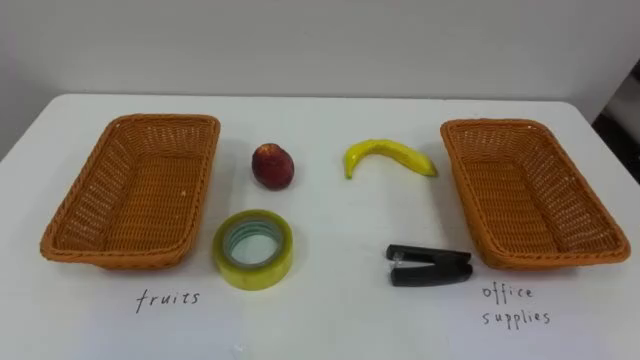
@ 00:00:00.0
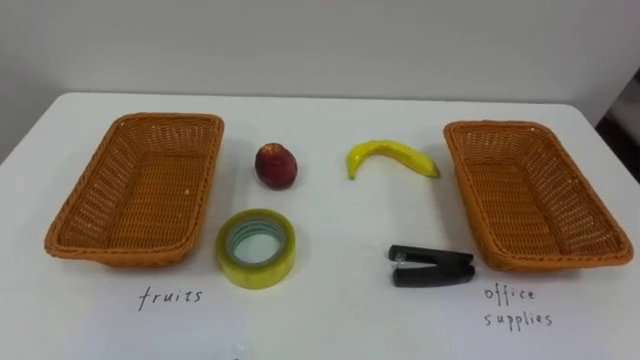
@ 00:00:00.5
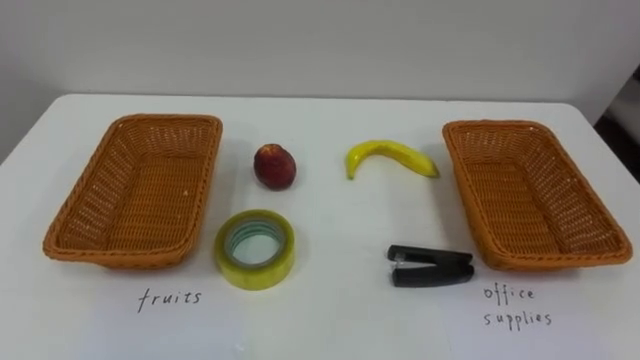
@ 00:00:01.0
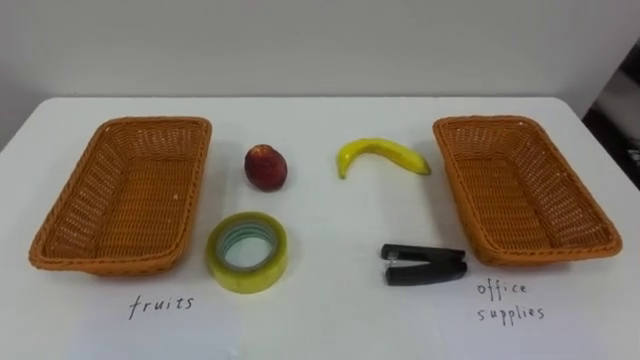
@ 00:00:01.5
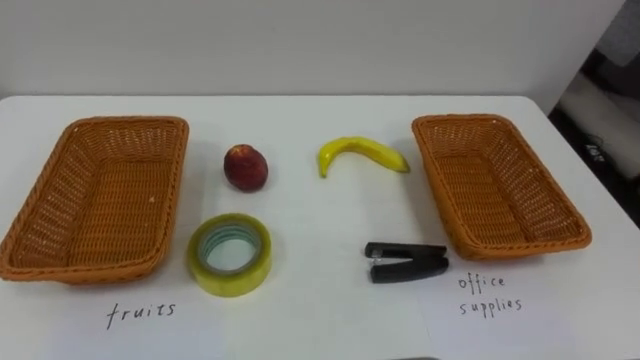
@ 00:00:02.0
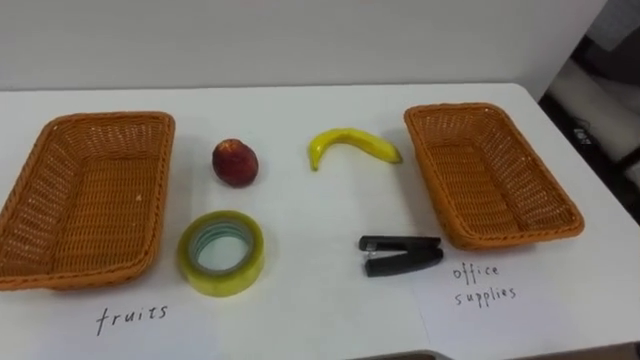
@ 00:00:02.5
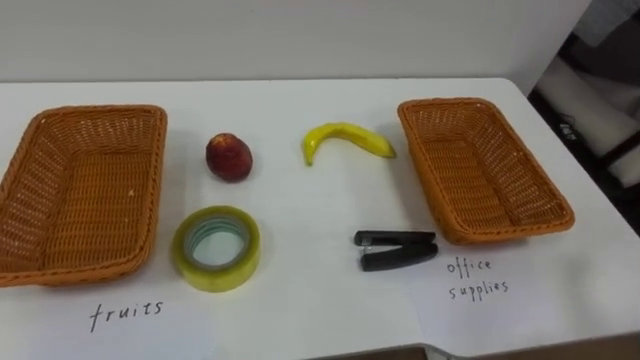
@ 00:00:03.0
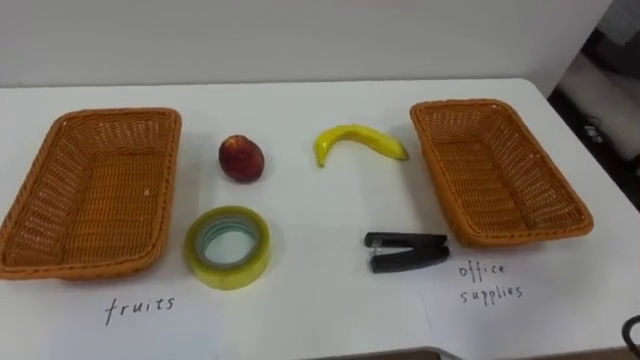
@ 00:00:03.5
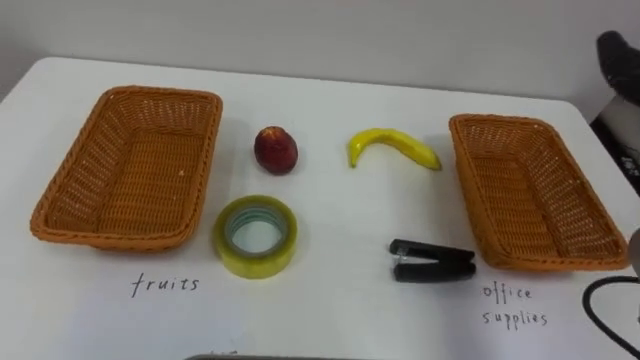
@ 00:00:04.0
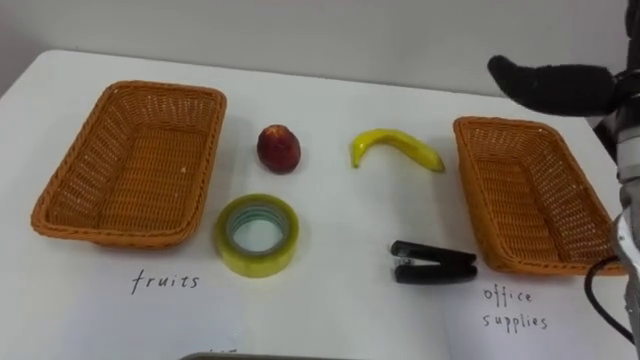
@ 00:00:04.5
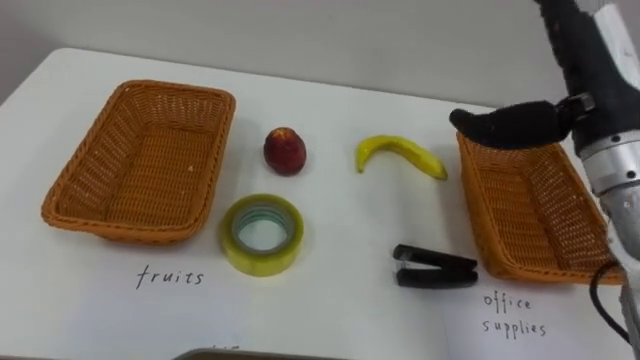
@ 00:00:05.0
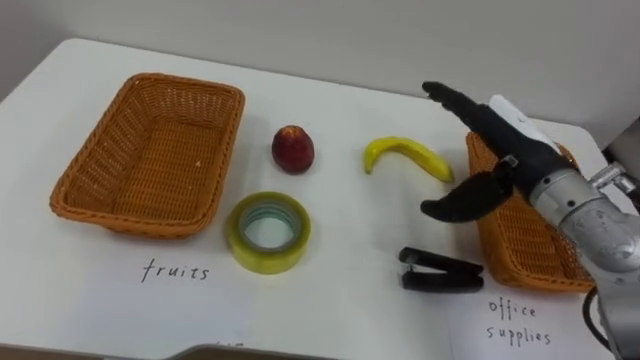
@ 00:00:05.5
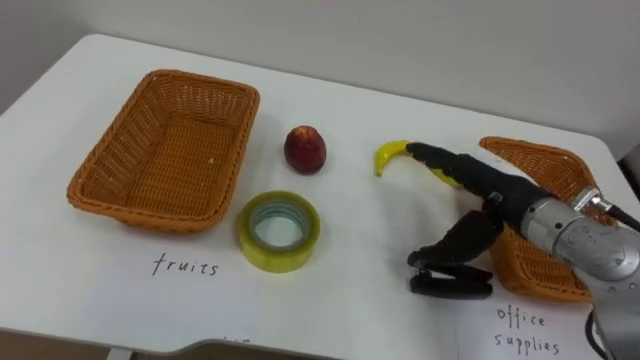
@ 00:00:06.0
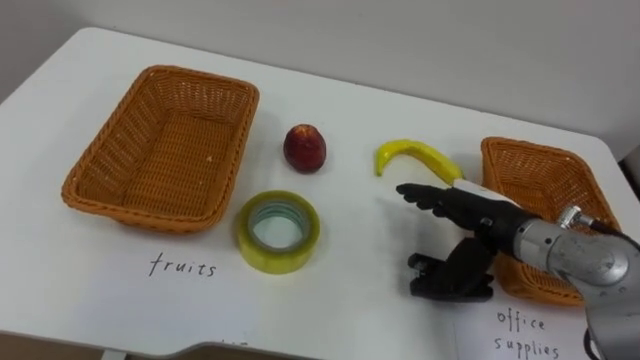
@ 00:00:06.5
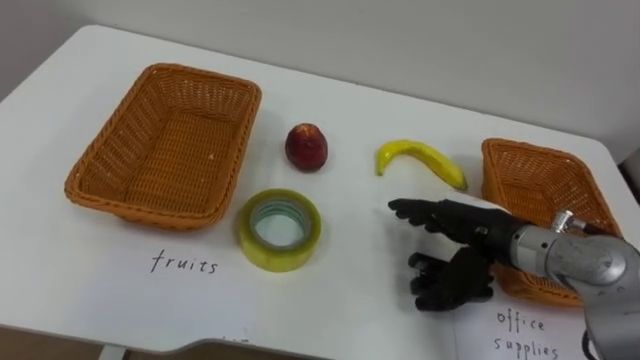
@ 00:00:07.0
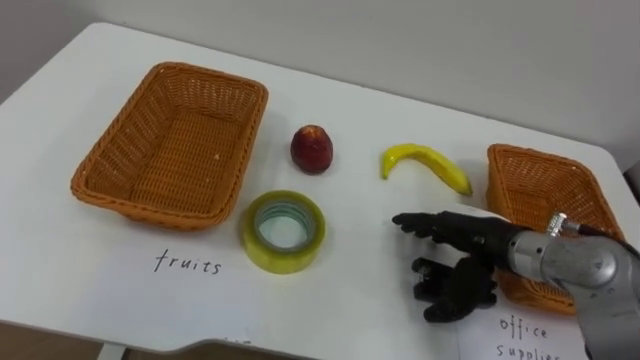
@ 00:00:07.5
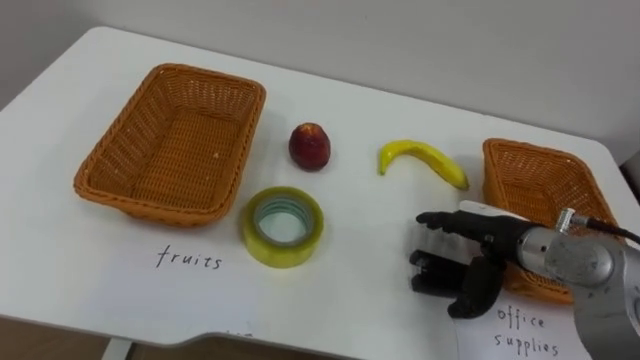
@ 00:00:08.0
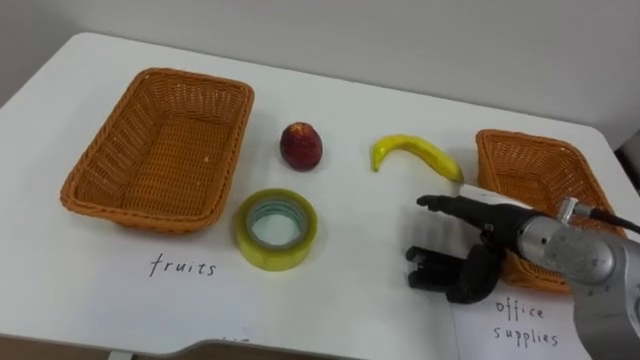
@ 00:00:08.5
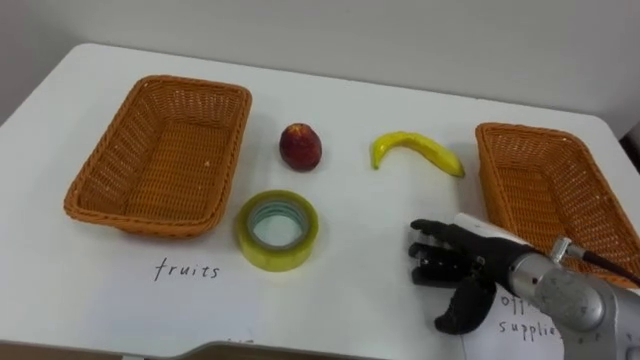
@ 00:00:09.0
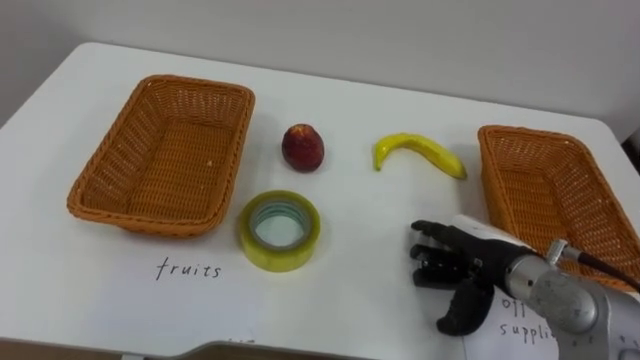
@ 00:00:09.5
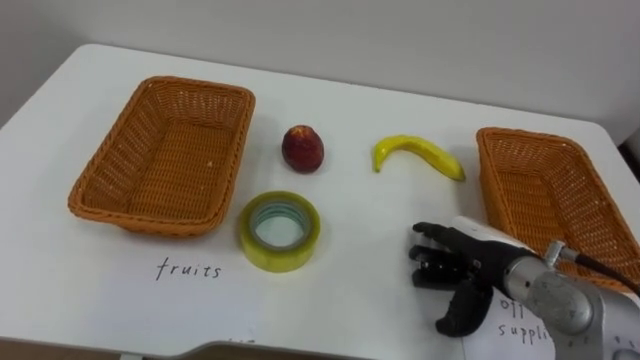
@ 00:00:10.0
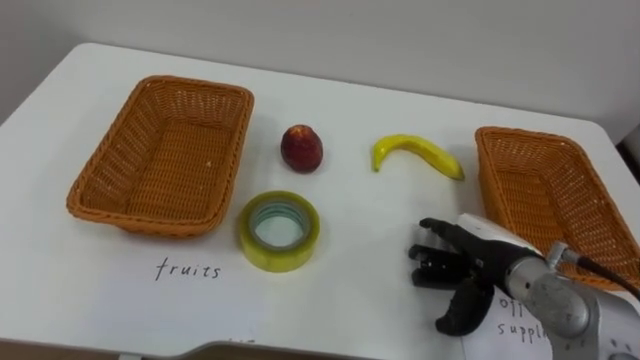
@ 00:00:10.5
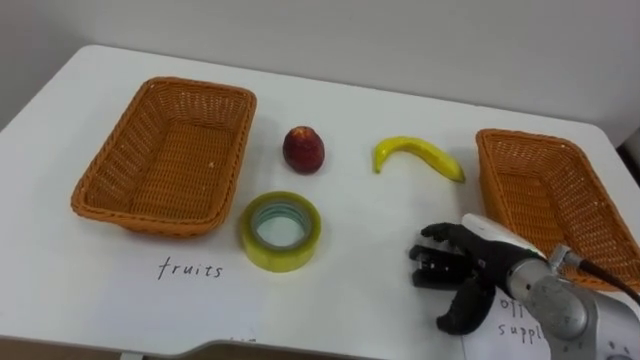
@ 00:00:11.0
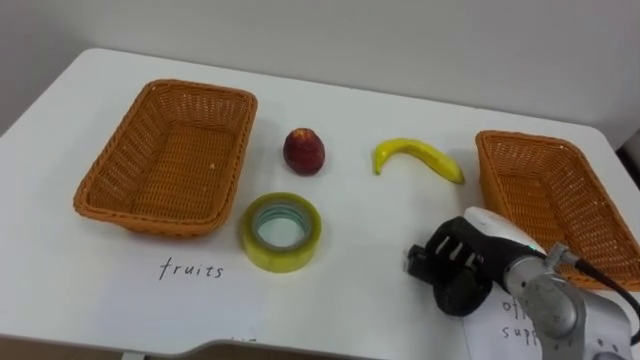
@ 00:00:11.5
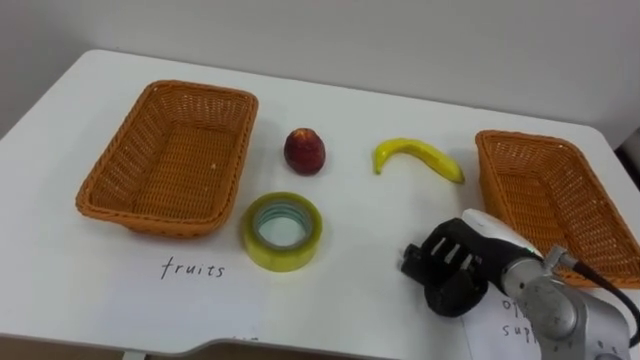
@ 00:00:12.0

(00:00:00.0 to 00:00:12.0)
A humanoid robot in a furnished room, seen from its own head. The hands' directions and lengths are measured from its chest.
Task of the whole recording: Separate the items on the table and place them into the two baskets.
00:00:06.0 - 00:00:08.0: The right hand shifts roughly 5 cm downward.
00:00:10.0 - 00:00:12.0: The right hand closes its fingers.

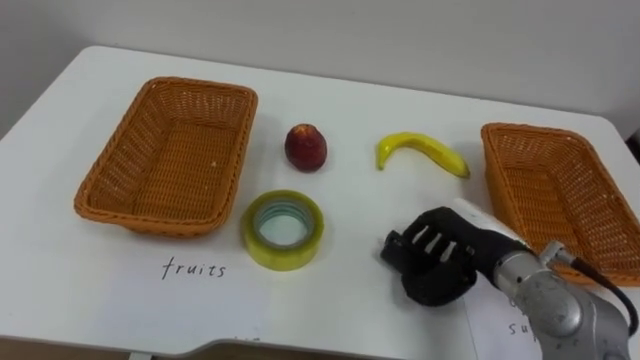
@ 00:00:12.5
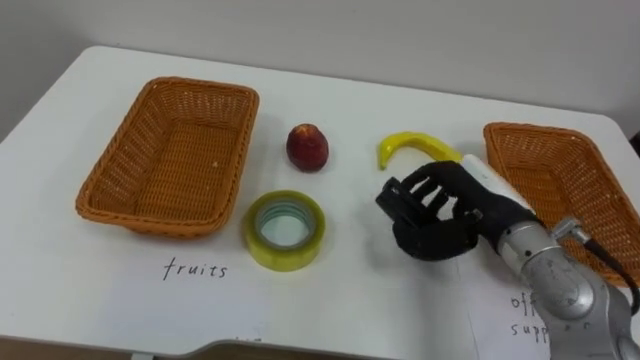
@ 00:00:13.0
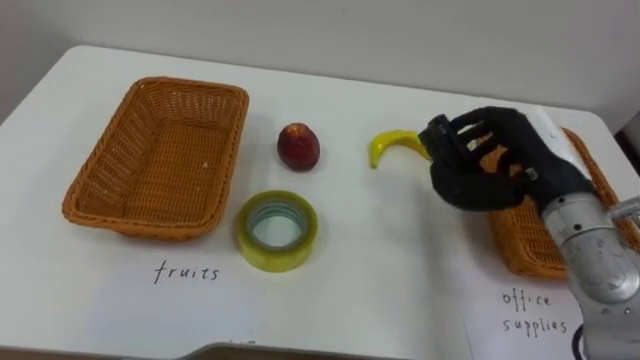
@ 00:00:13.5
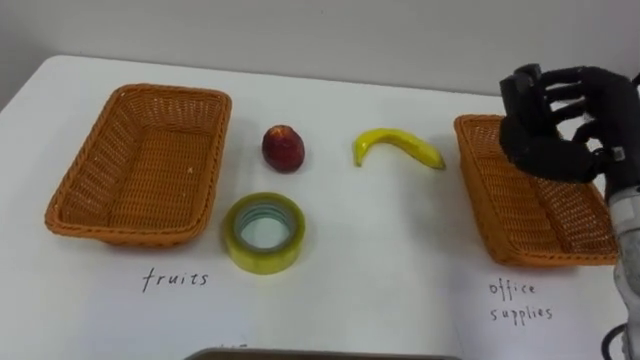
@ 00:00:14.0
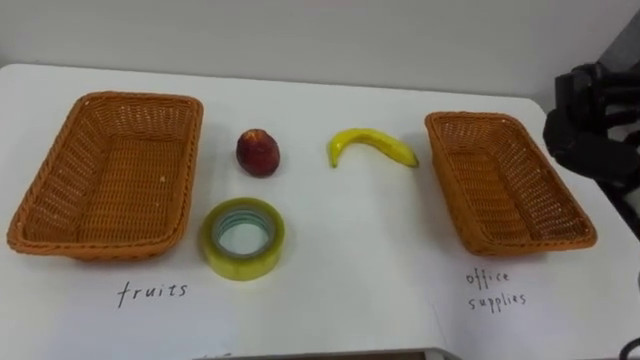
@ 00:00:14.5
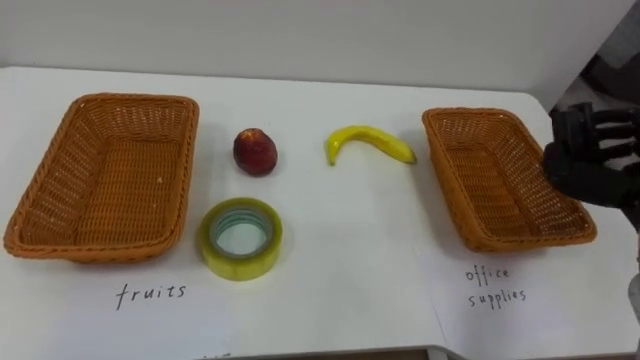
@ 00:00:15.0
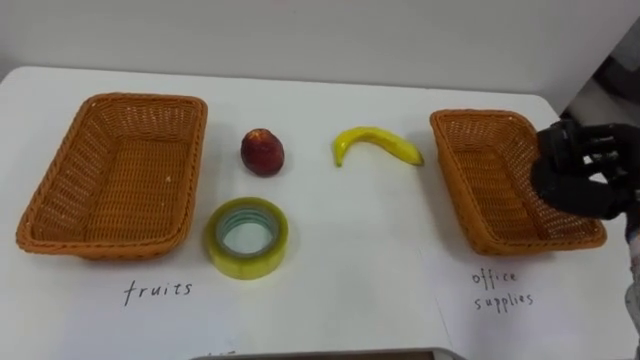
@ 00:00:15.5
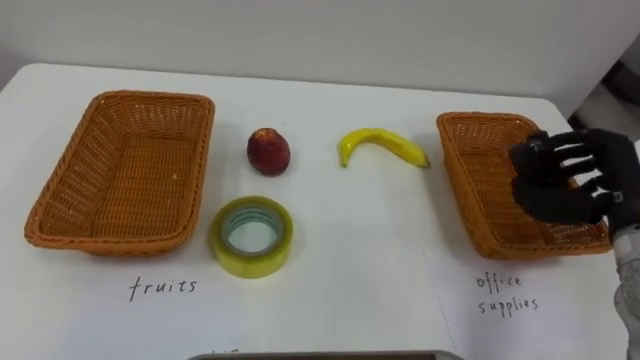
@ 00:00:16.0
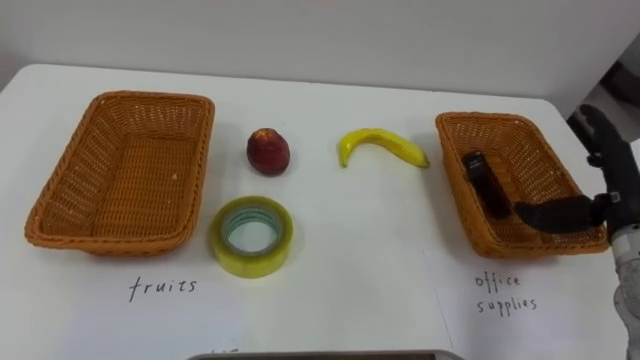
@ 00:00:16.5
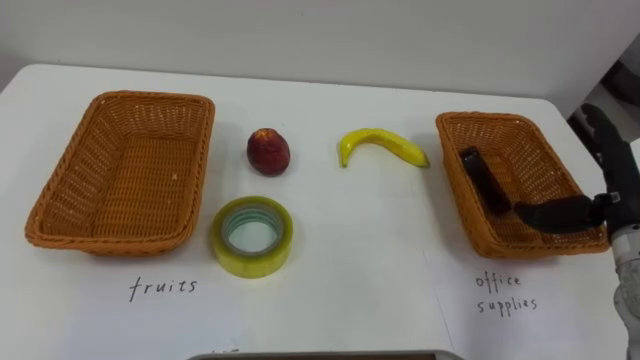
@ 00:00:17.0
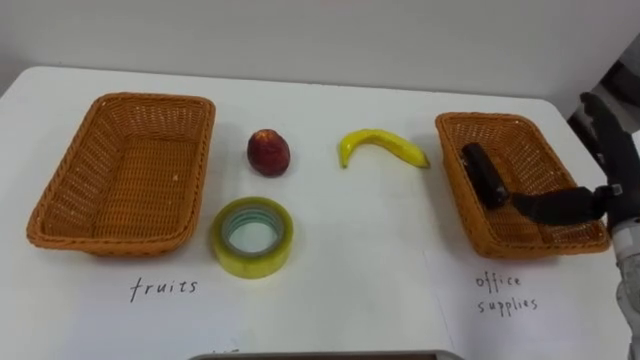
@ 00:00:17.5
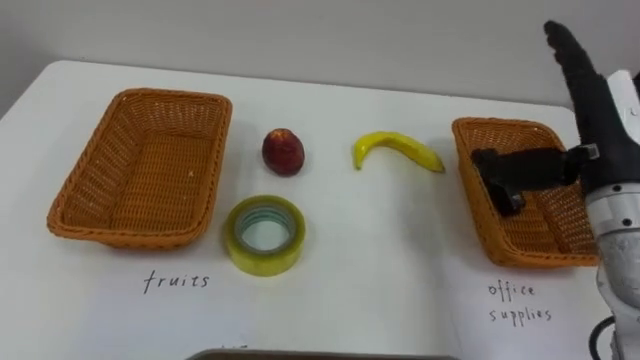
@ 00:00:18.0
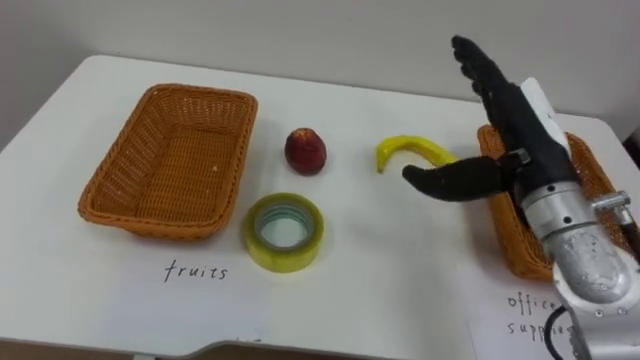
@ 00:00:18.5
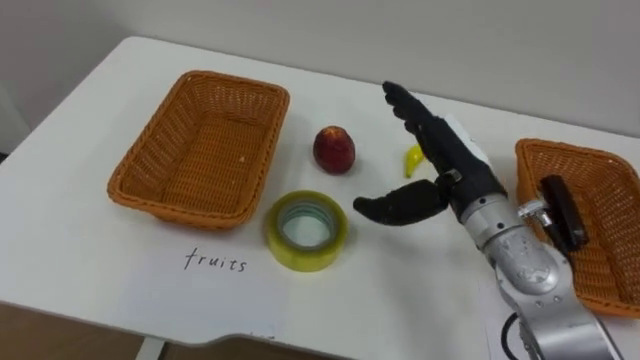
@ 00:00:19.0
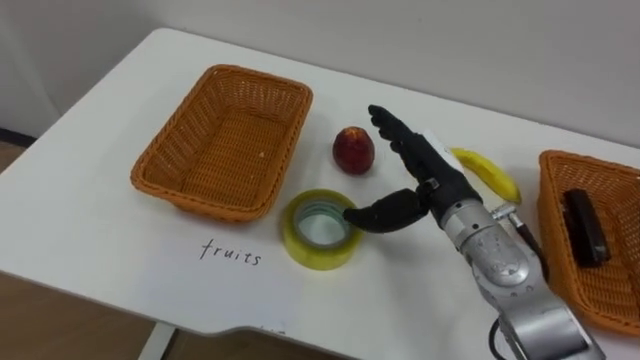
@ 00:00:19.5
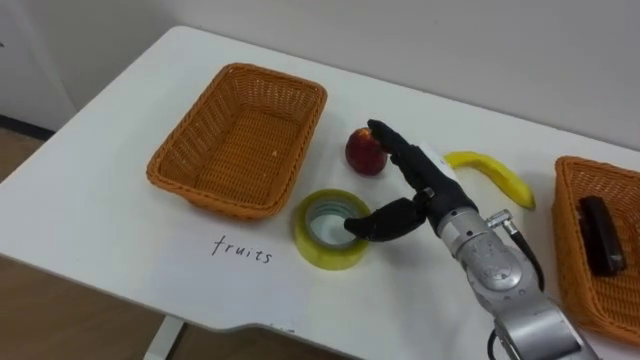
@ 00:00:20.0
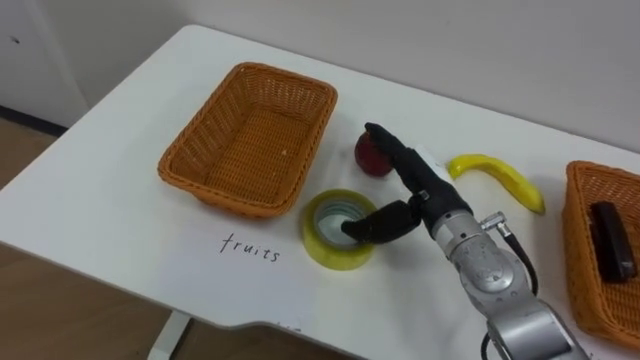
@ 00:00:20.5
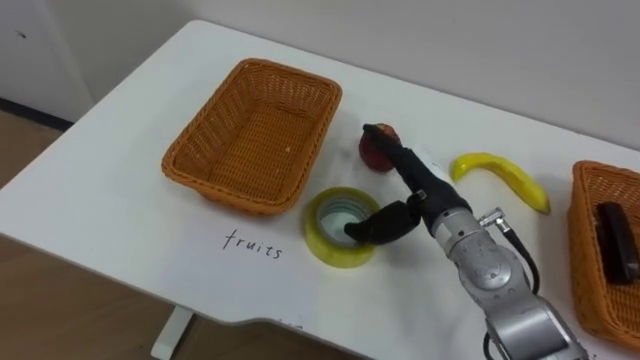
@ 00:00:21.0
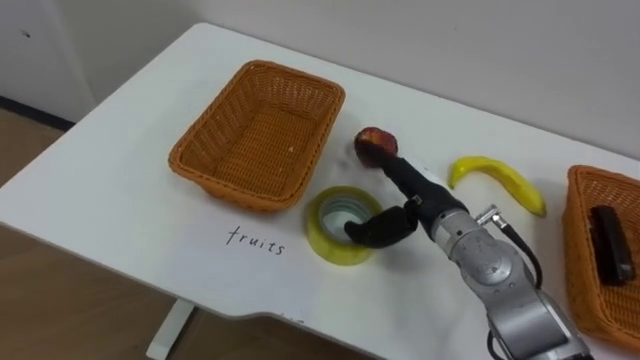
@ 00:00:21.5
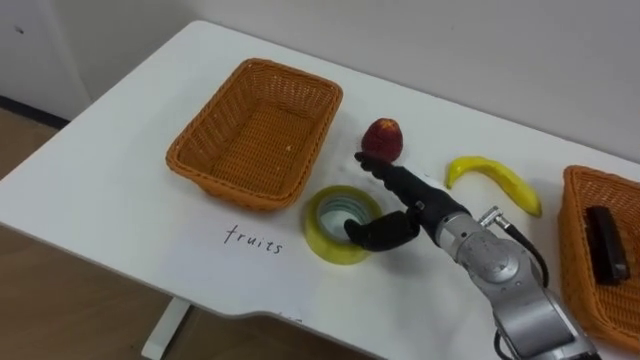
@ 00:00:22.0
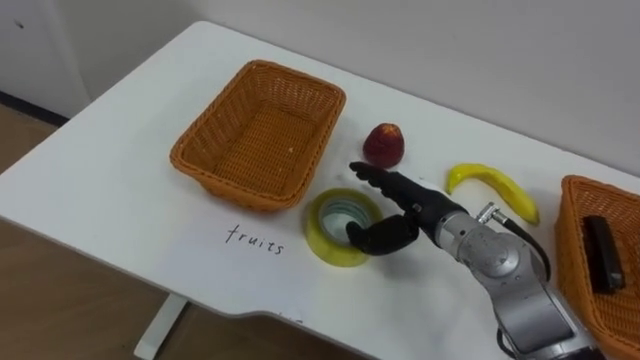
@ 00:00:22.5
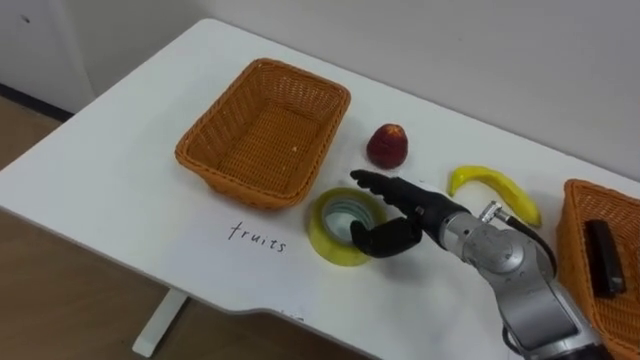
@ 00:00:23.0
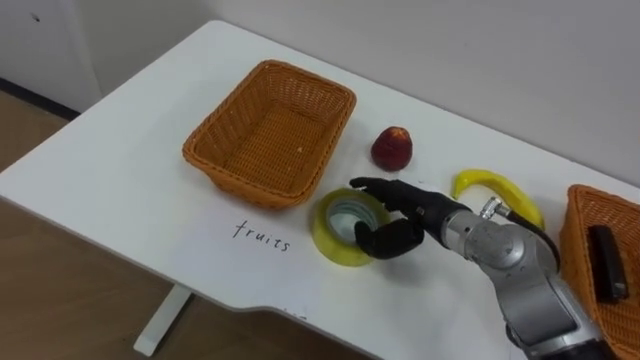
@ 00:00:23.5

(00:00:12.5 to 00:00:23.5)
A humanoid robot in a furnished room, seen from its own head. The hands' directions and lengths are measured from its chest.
Task of the whole recording: Separate the items on the table and place them into the two baskets.
00:00:16.0 - 00:00:18.0: The right hand shifts some 10 cm upward and to the left, and opens.
00:00:18.0 - 00:00:20.0: The right hand travels to the left and downward by about 15 cm.
